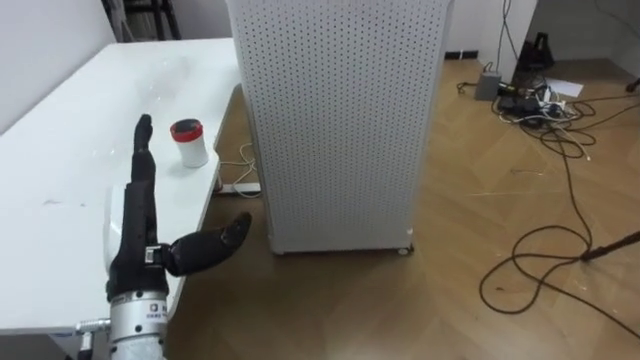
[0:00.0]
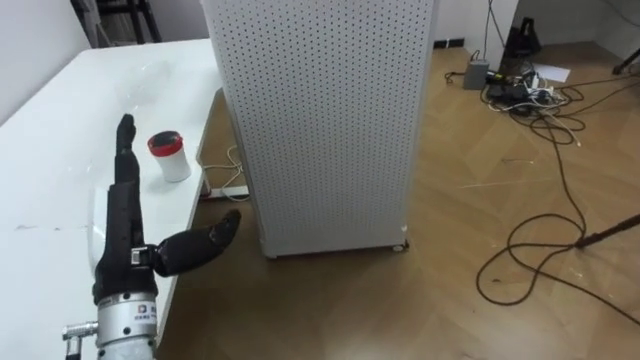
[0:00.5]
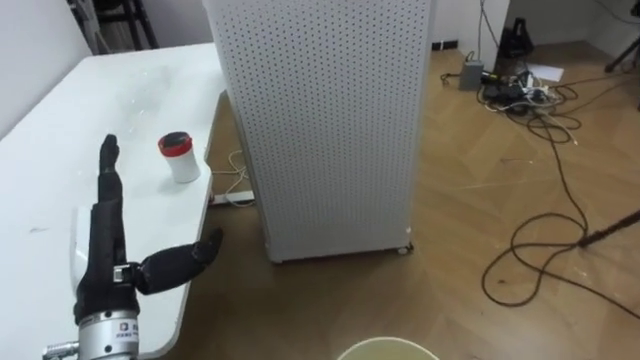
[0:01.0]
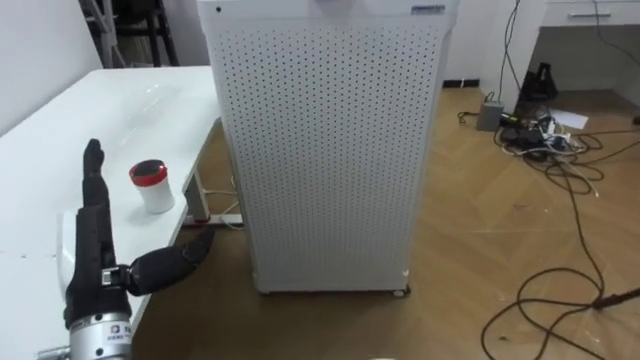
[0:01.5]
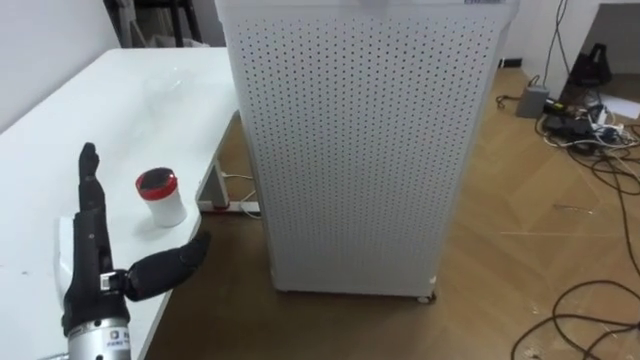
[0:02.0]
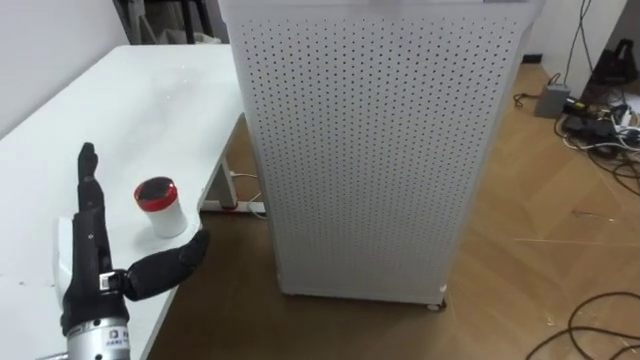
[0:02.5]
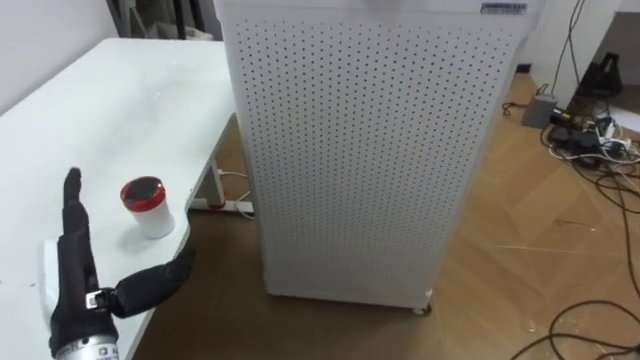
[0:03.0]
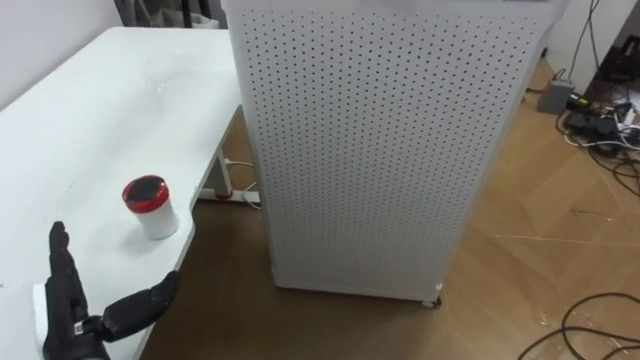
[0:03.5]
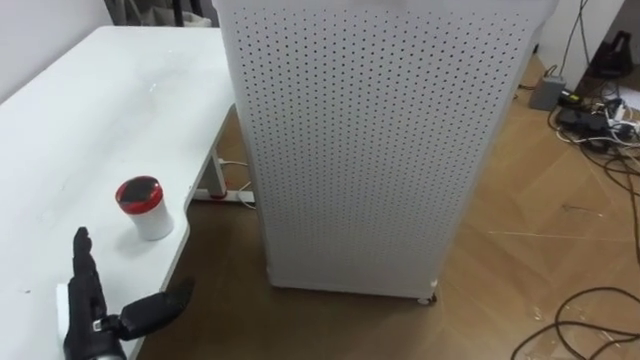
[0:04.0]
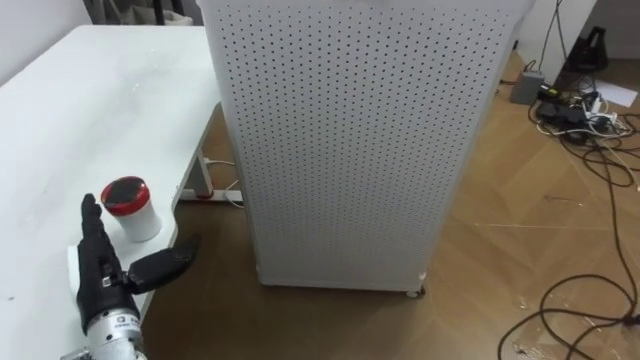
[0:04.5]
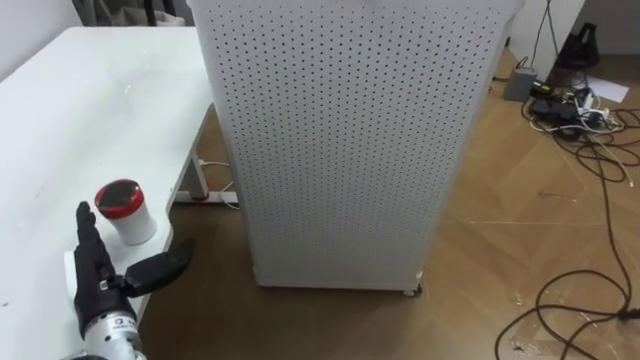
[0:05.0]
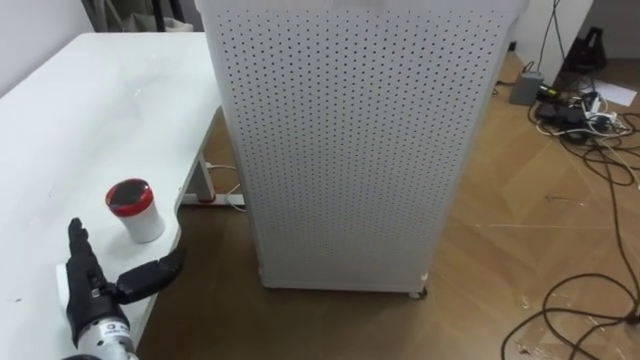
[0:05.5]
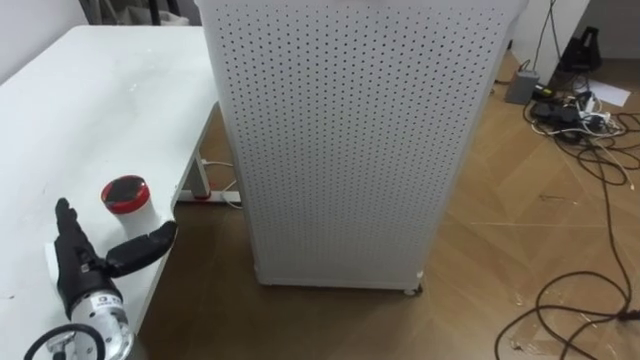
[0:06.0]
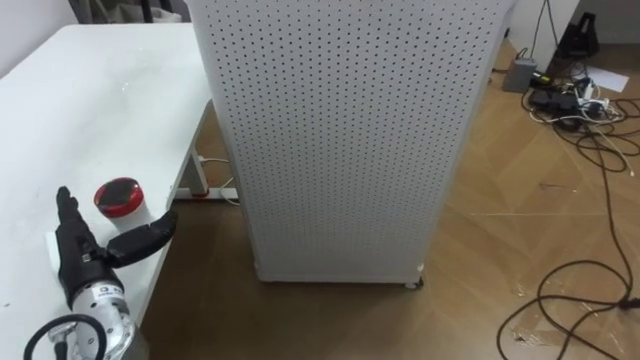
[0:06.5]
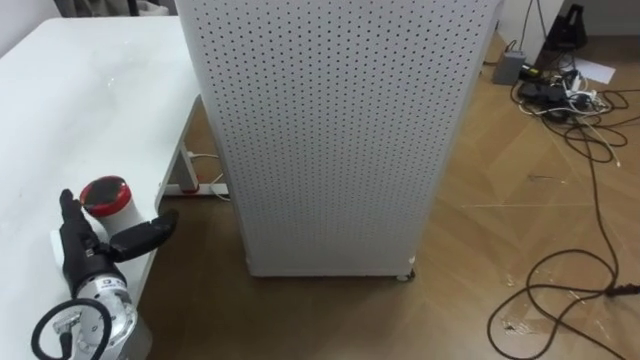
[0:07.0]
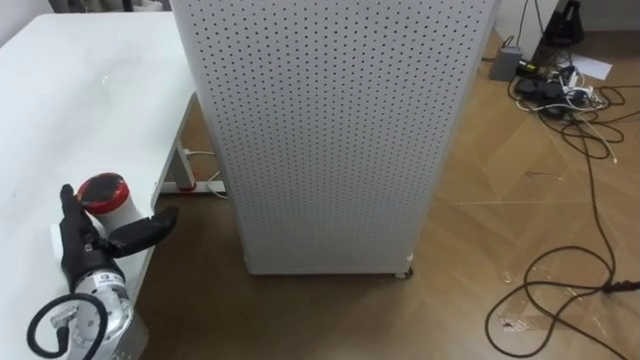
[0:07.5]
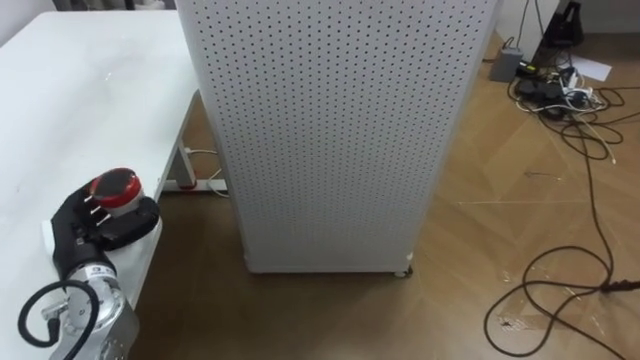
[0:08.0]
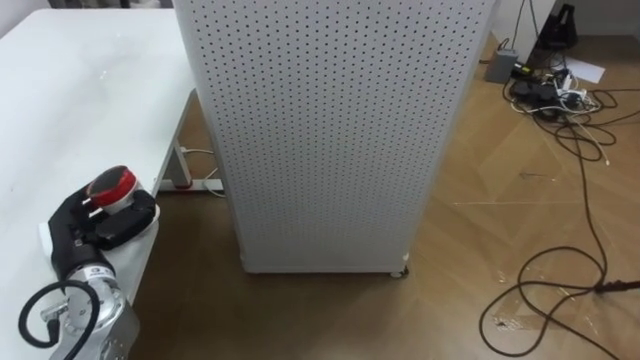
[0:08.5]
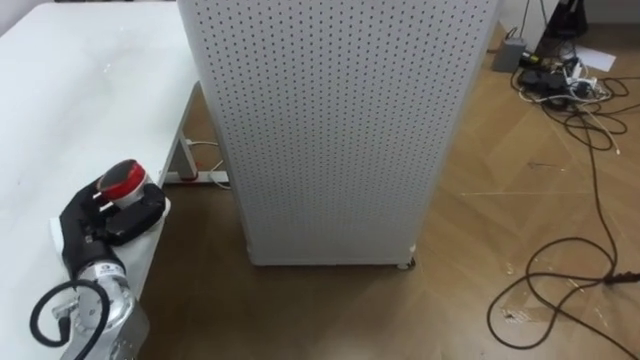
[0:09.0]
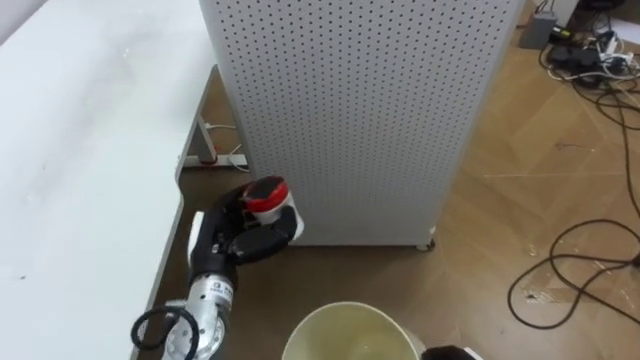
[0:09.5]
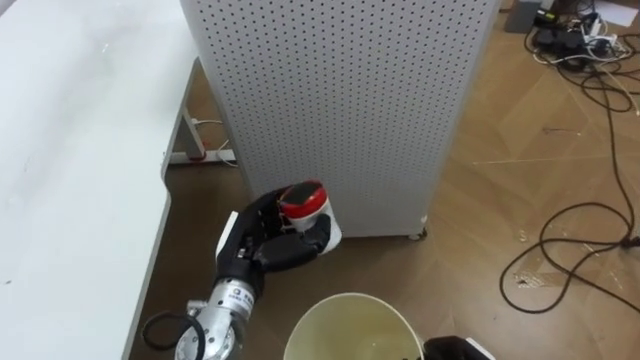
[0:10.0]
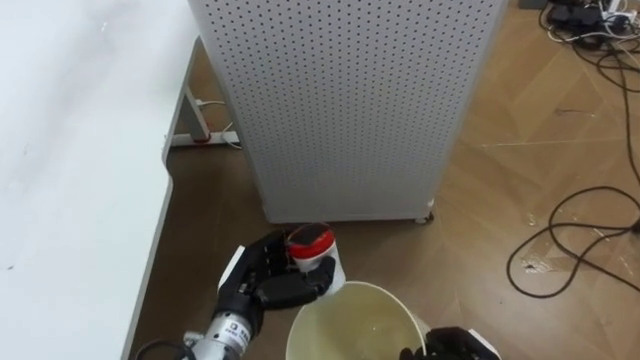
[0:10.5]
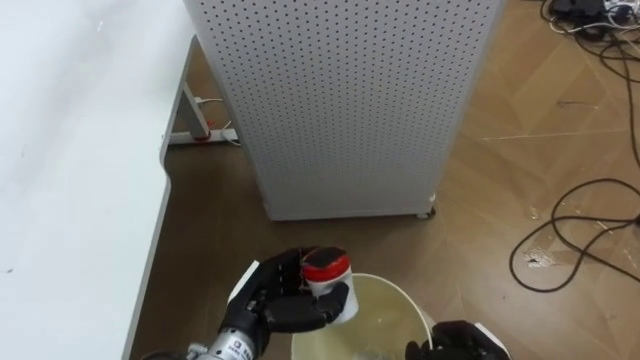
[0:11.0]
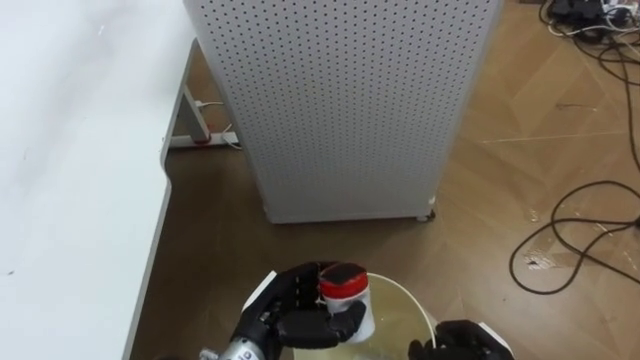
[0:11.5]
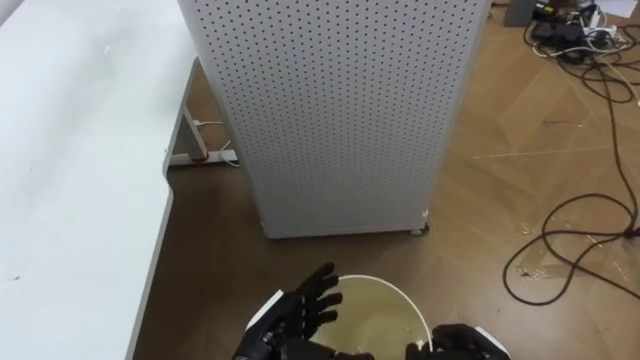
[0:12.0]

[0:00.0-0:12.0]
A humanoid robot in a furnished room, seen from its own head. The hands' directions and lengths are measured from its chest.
Task of the whole recording: Pick up the light blue package, the candy box, and the dark blue package separately, and put them into the trash can held in your right hand.
0:00.0 to 0:02.0: The left hand shifts by some 5 cm.
0:02.0 to 0:04.0: The left hand moves downward, about 10 cm.
0:04.0 to 0:06.0: The left hand is displaced forward by approximately 5 cm.
0:08.0 to 0:10.0: The left hand moves to the right, approximately 20 cm.
0:10.0 to 0:12.0: The left hand heads backward and downward, covering roughly 10 cm, and opens its fingers.

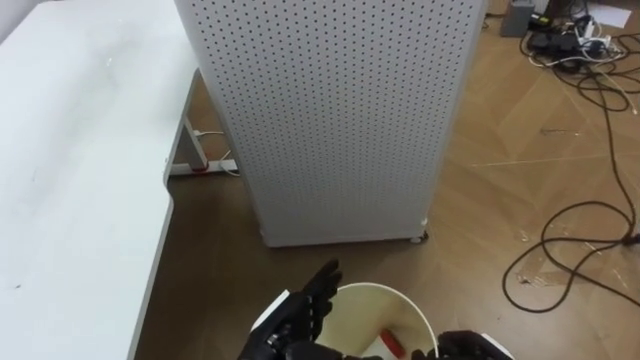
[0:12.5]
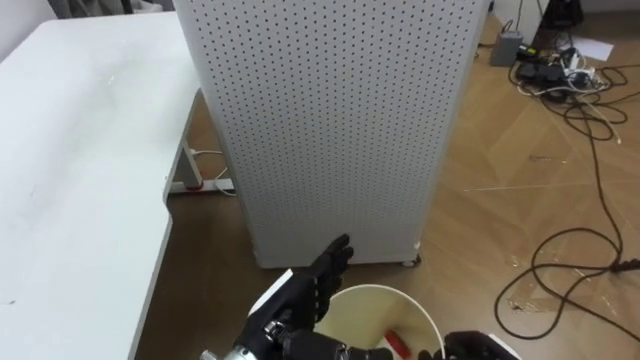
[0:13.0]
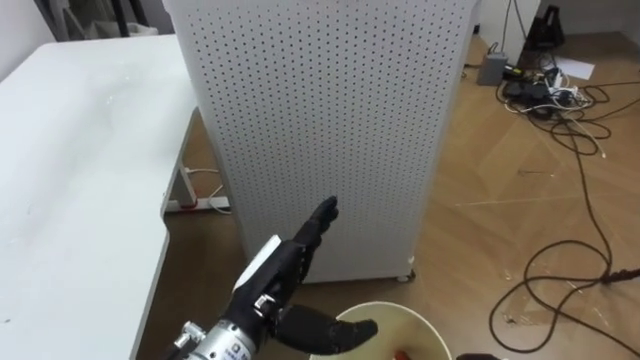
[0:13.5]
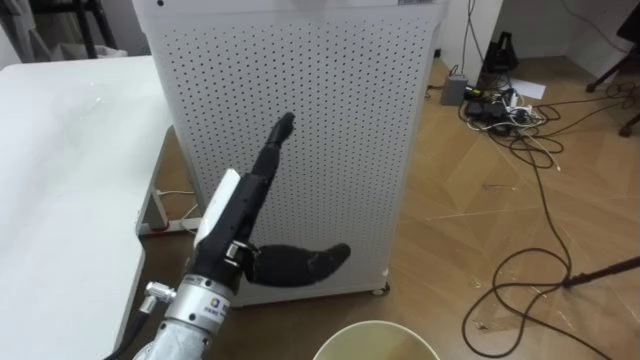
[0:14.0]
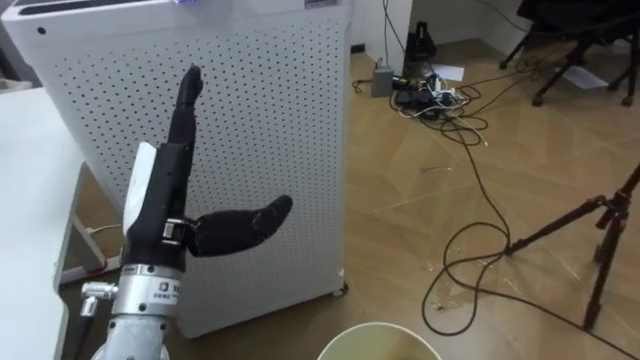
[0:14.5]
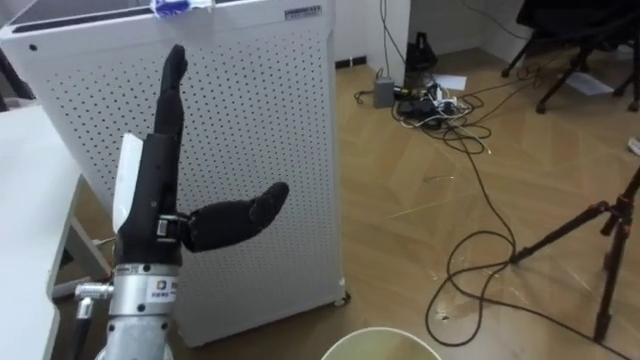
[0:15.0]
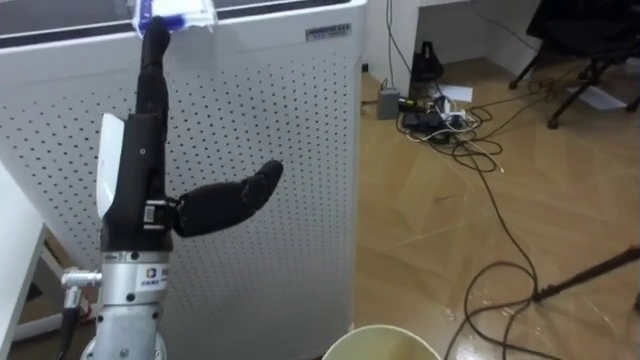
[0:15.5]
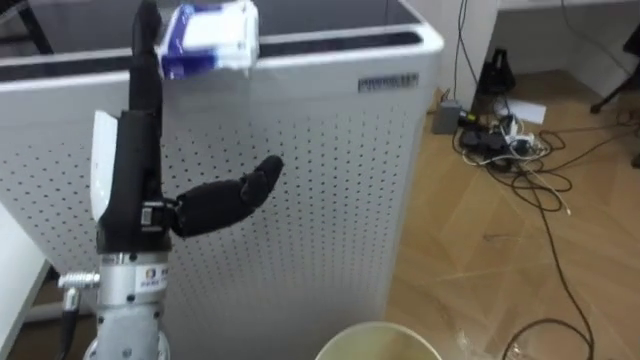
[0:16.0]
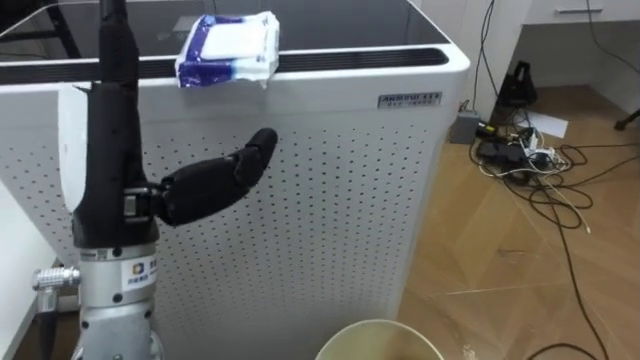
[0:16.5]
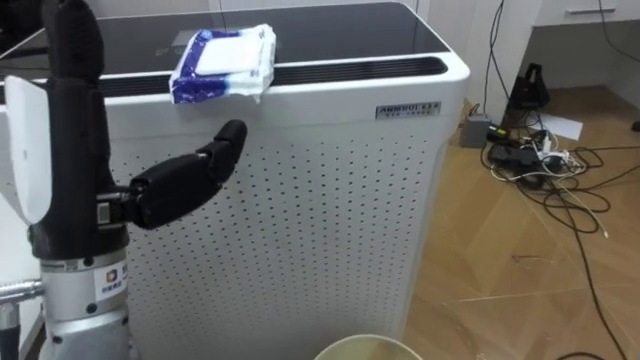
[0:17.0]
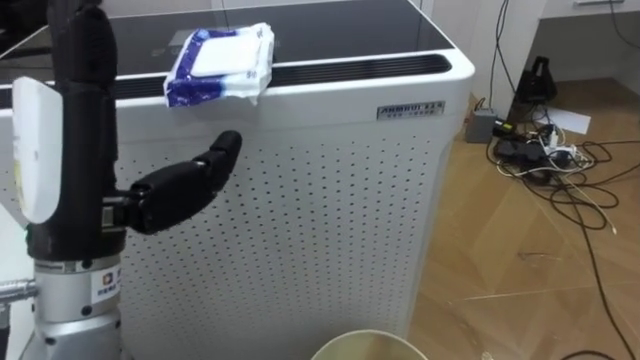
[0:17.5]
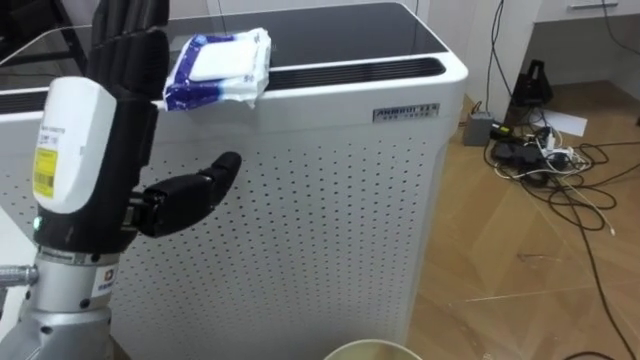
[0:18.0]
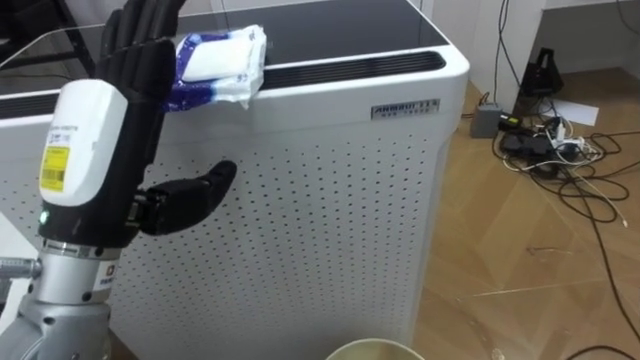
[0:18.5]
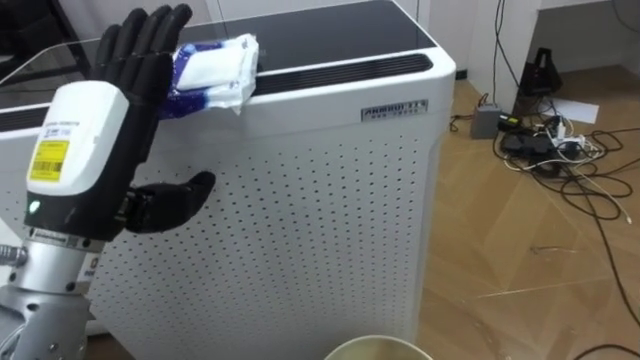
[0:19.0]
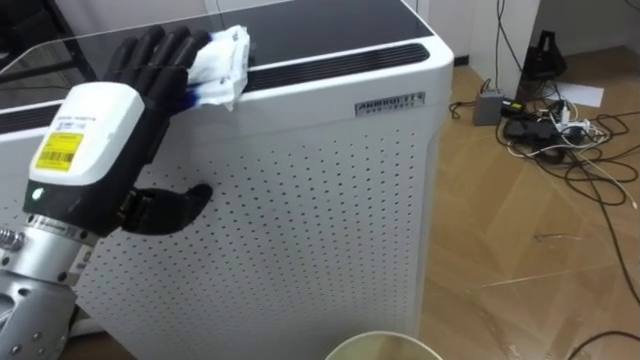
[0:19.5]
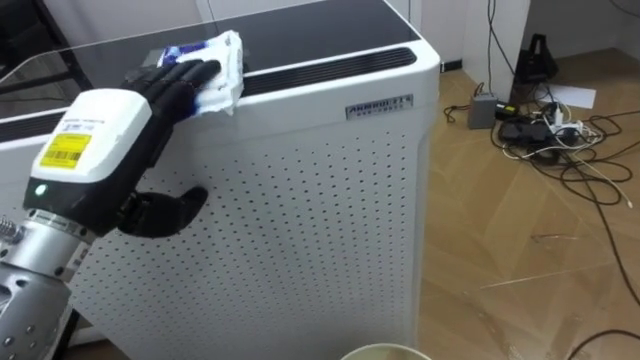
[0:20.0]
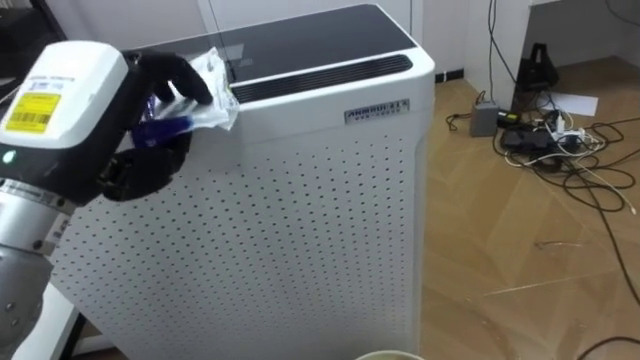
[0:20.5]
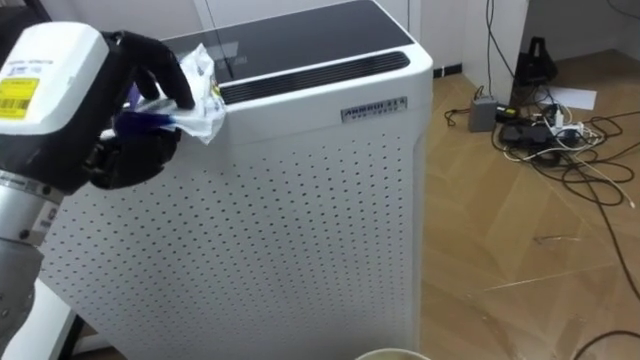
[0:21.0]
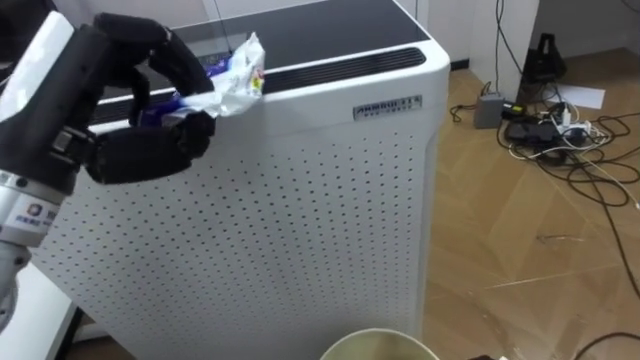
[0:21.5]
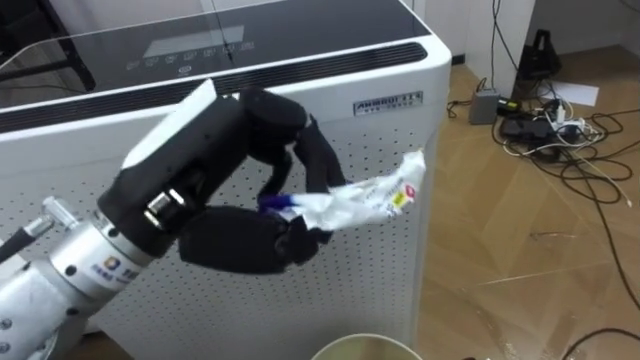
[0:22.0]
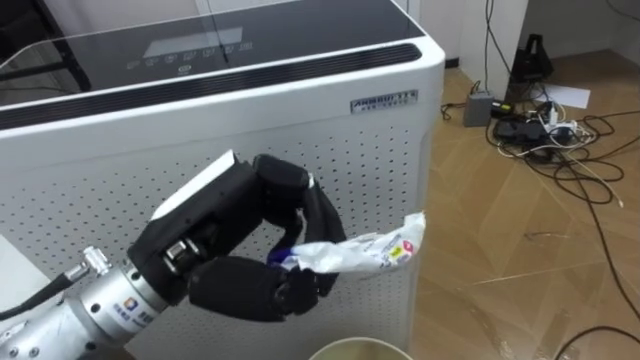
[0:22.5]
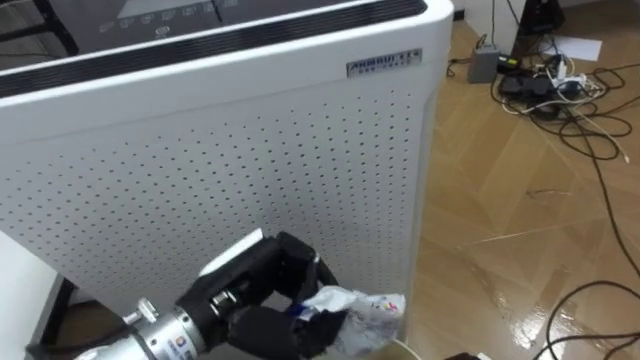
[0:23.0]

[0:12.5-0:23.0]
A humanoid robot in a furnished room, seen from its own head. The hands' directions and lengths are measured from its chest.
Task of the whole recording: Pick up the light blue package, the candy box, and the dark blue package separately, and put them into the trash can held in your right hand.
0:12.5 to 0:14.5: The robot rotates approximately 20 degrees to its right. The left hand shifts some 25 cm upward and to the left.
0:14.5 to 0:16.5: The left hand moves upward, about 10 cm.
0:19.0 to 0:21.0: The left hand closes its fingers.
0:21.0 to 0:23.0: The left hand travels downward and to the right by roughly 20 cm.
